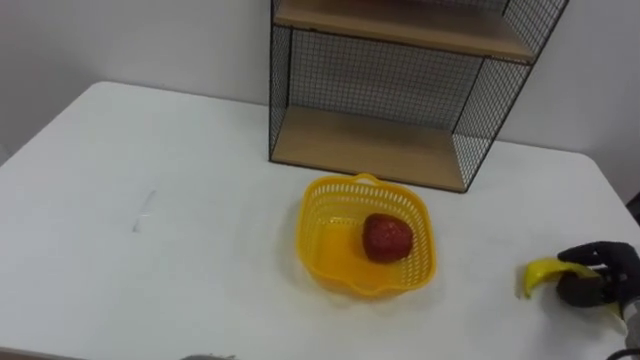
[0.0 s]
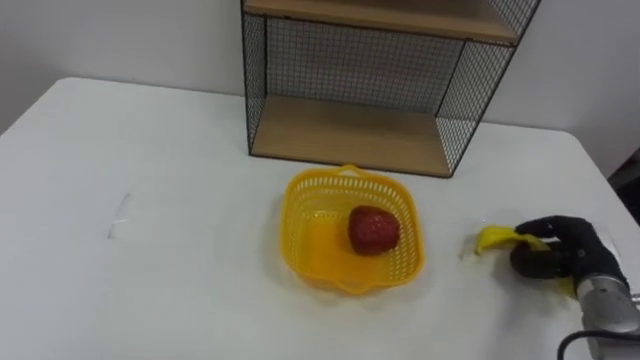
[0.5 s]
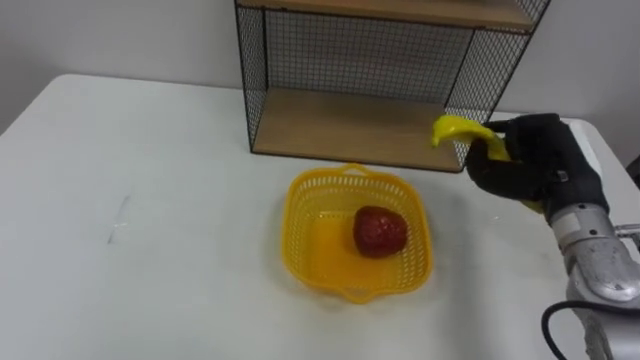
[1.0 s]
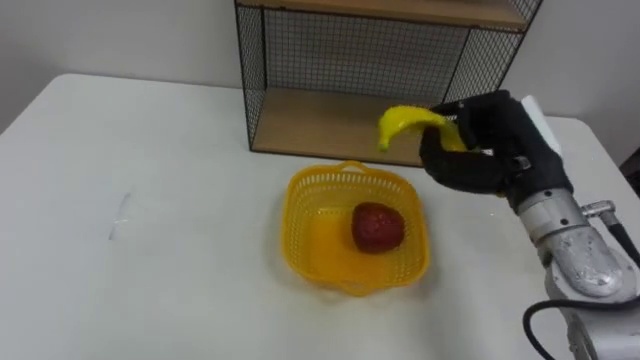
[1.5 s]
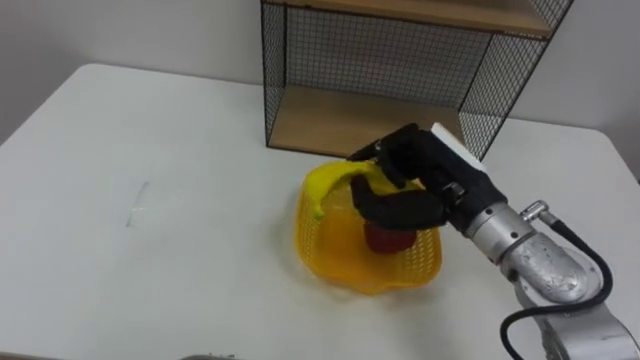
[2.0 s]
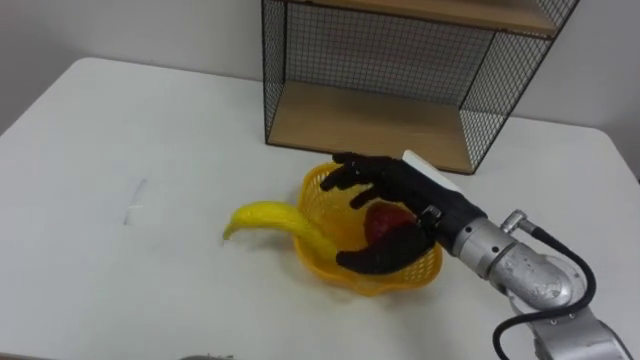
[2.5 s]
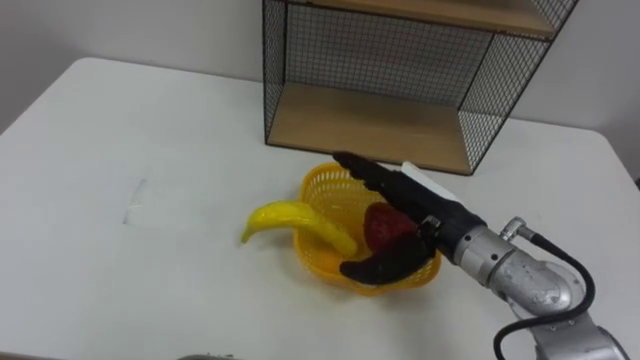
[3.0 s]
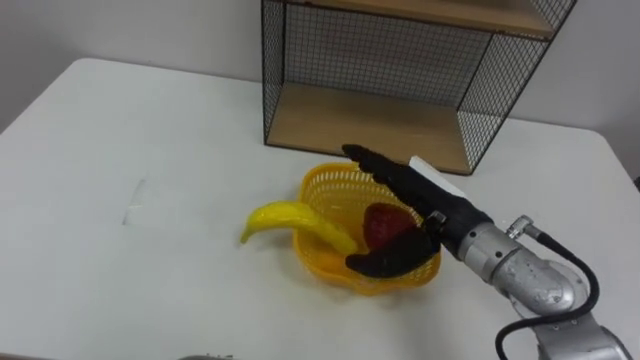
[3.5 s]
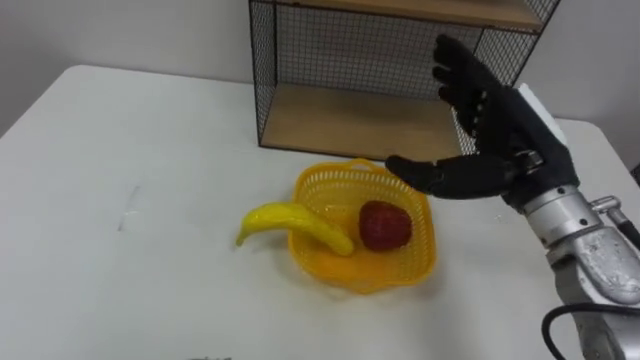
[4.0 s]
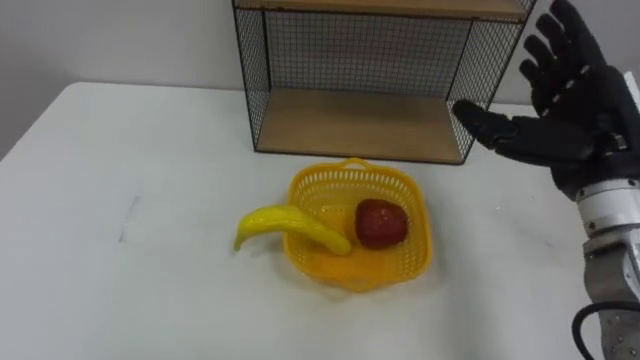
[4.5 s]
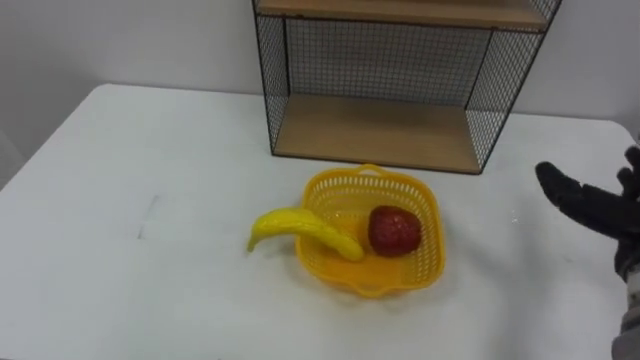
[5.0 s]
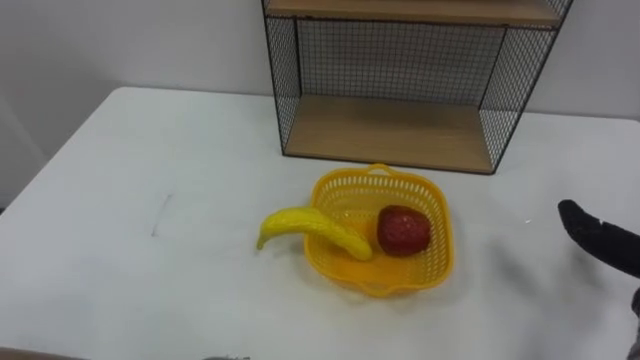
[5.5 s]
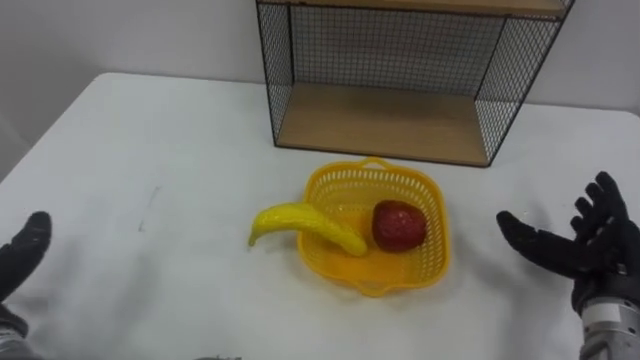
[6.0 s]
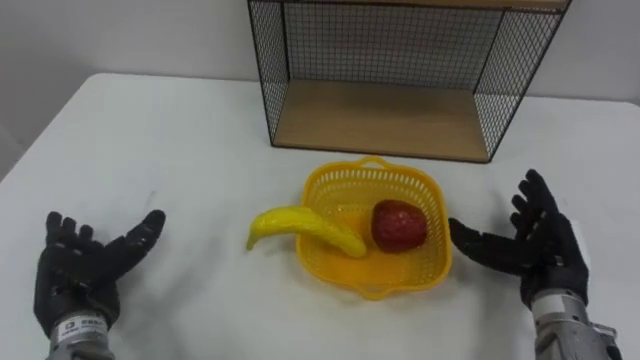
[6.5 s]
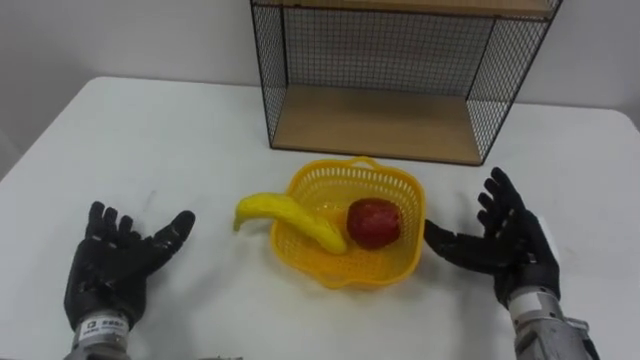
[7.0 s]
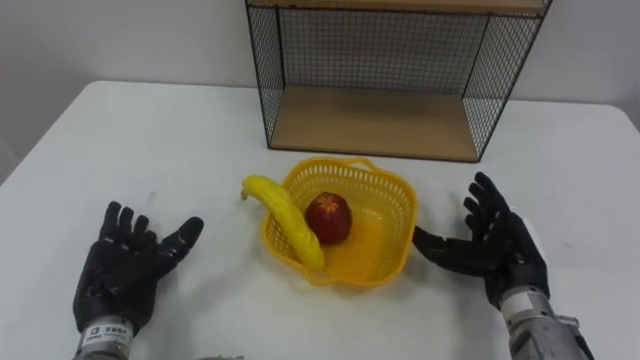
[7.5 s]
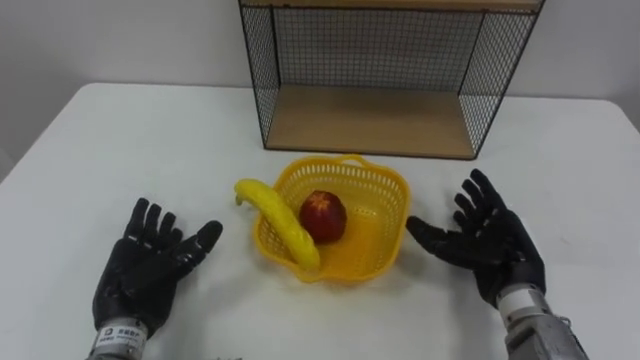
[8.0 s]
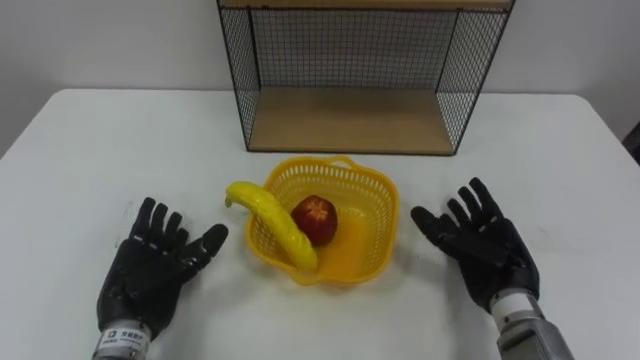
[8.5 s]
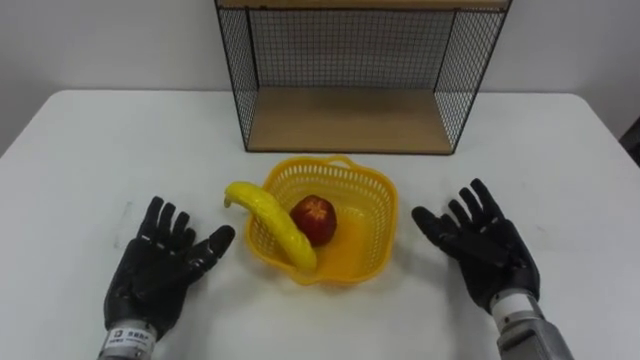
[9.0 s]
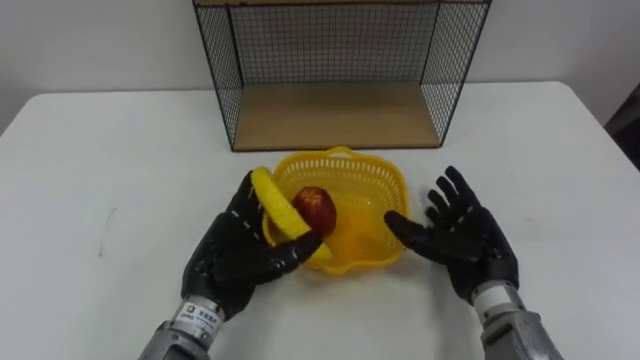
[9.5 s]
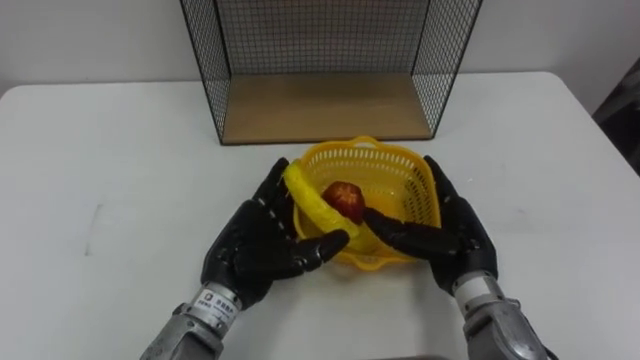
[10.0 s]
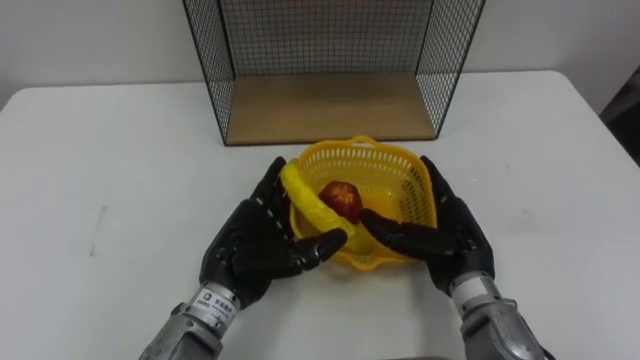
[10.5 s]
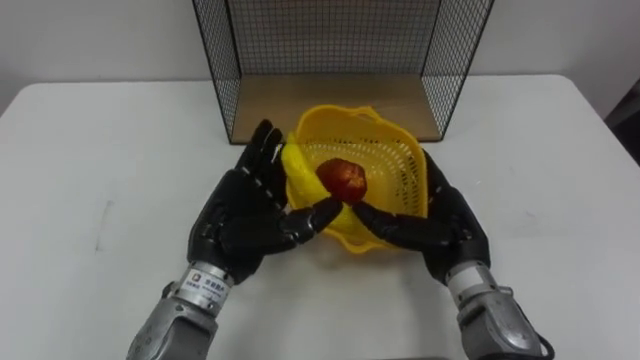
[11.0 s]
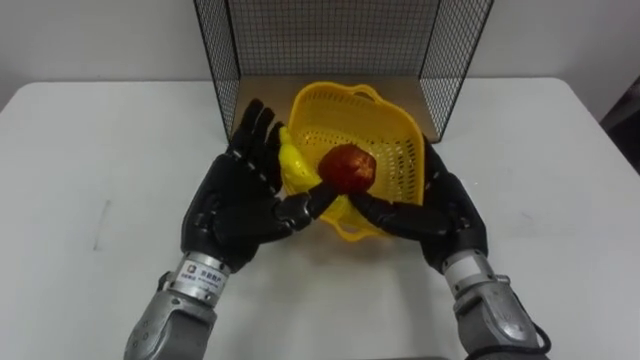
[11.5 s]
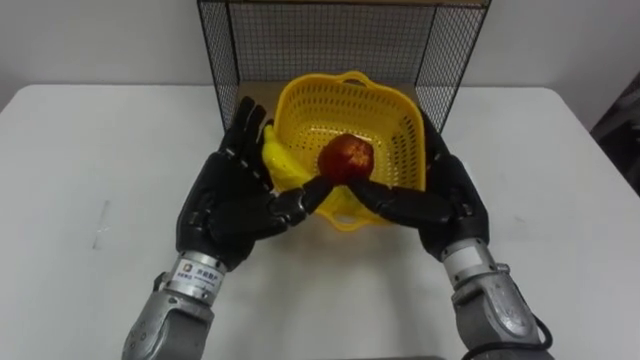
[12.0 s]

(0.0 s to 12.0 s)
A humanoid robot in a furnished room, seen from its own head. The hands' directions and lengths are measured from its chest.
Task of the whole recording: Put the fruit on the table into the basket, then place the basket on the shelf.
0.0 s - 2.0 s: The right hand goes about 30 cm to the left and upward.
2.0 s - 4.0 s: The right hand travels to the right by roughly 5 cm, and opens up.
6.0 s - 8.0 s: The right hand shifts about 10 cm to the left.
8.0 s - 10.0 s: The right hand heads to the left, covering about 5 cm; the left hand travels to the right by roughly 15 cm.
10.0 s - 12.0 s: Both hands travel together upward, about 5 cm.

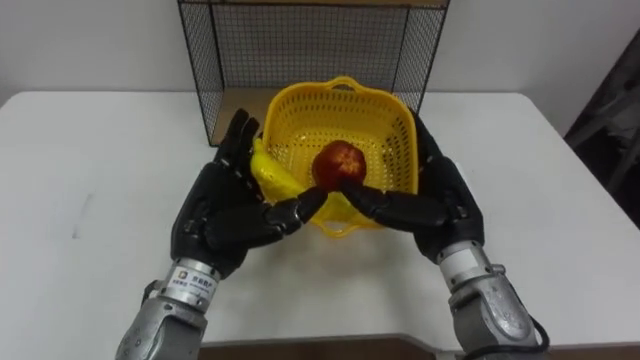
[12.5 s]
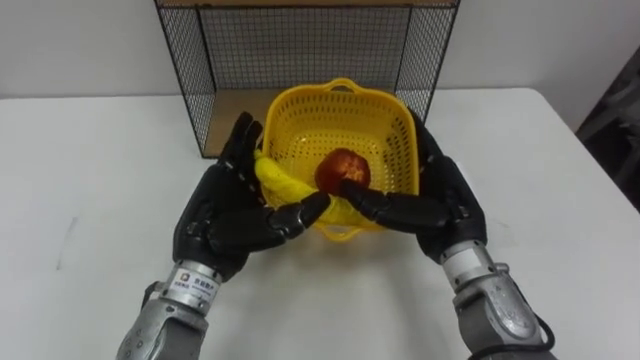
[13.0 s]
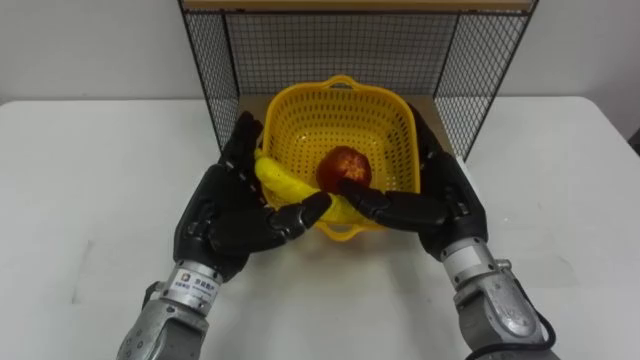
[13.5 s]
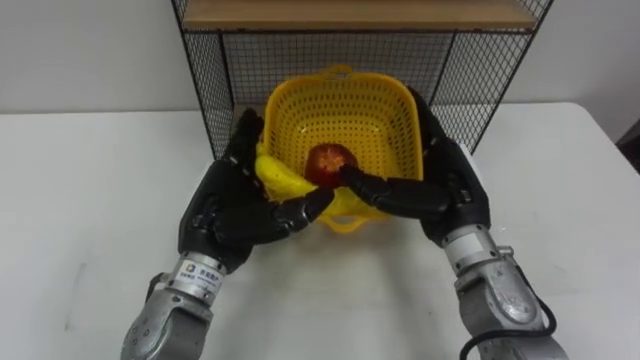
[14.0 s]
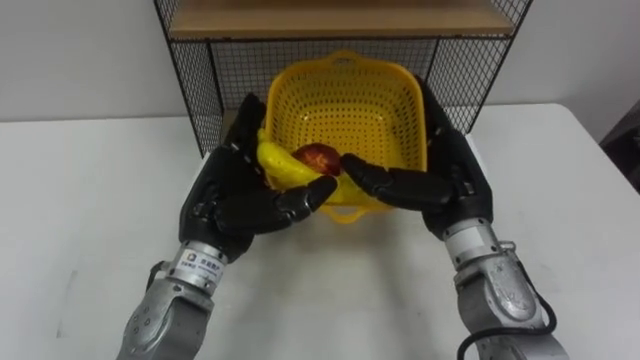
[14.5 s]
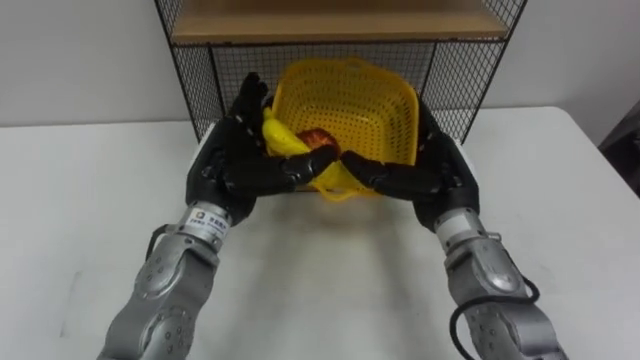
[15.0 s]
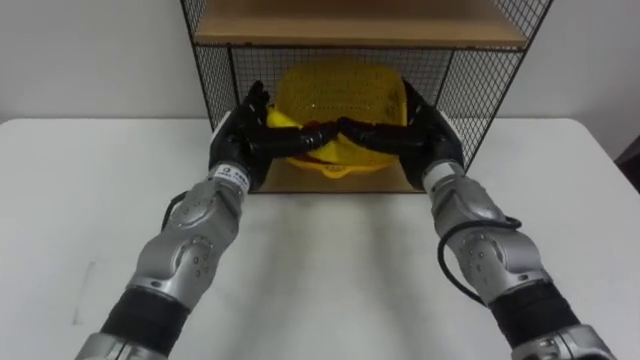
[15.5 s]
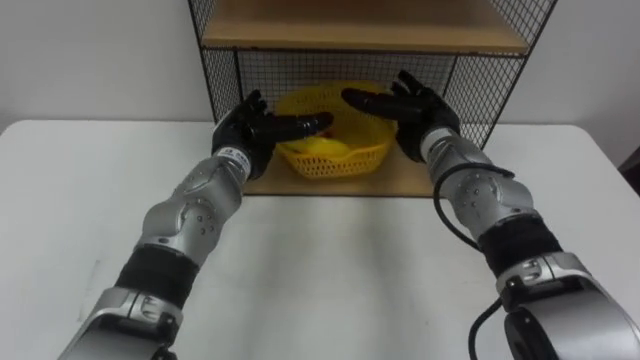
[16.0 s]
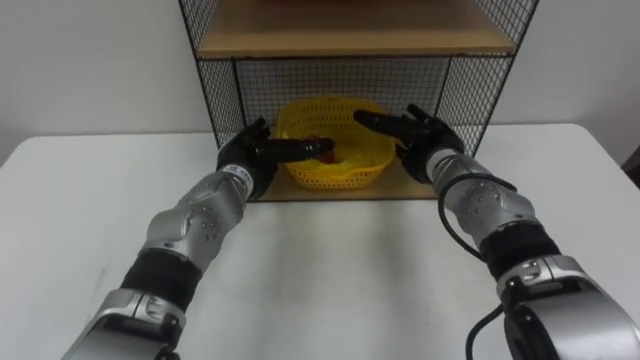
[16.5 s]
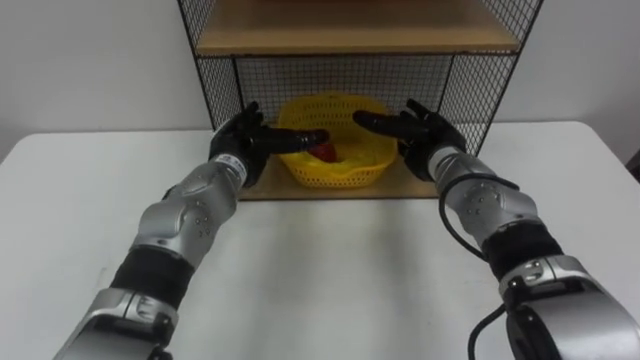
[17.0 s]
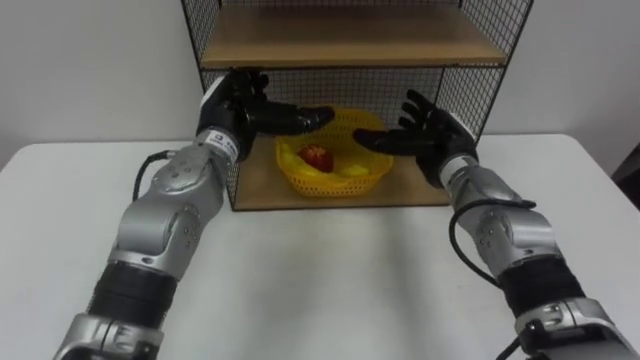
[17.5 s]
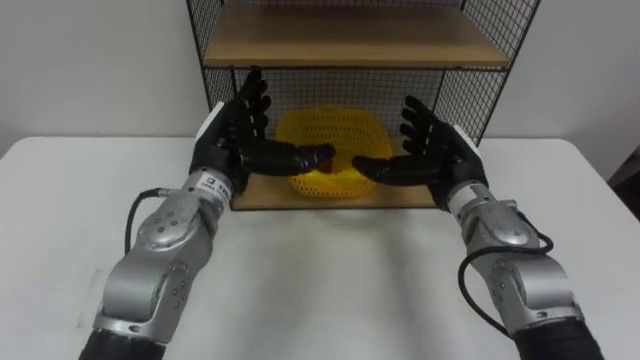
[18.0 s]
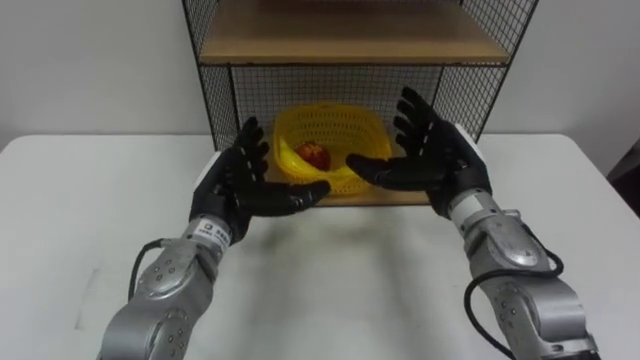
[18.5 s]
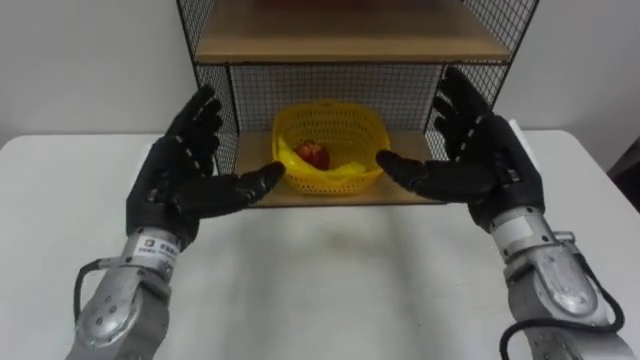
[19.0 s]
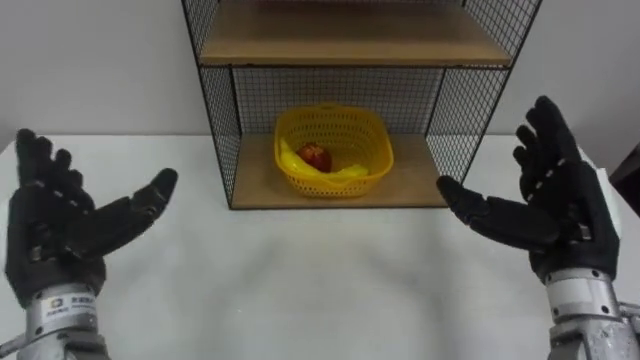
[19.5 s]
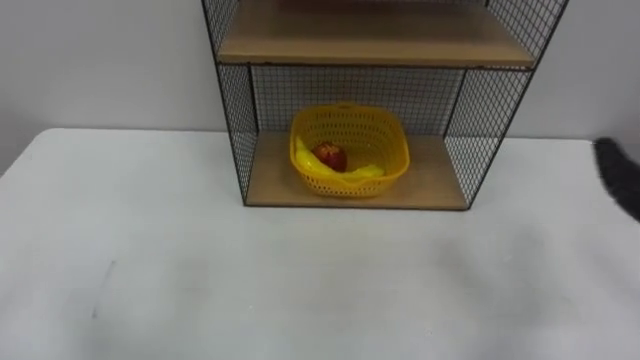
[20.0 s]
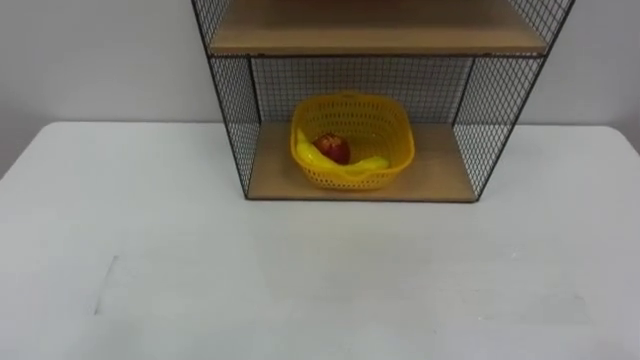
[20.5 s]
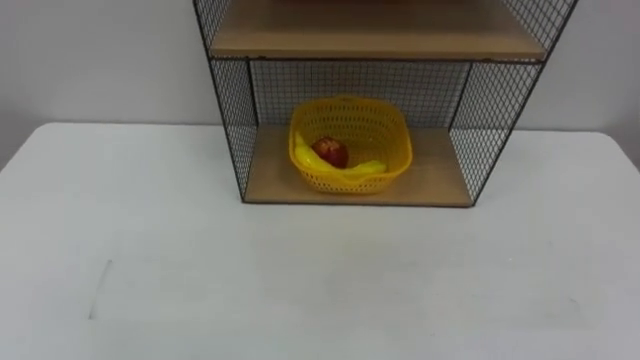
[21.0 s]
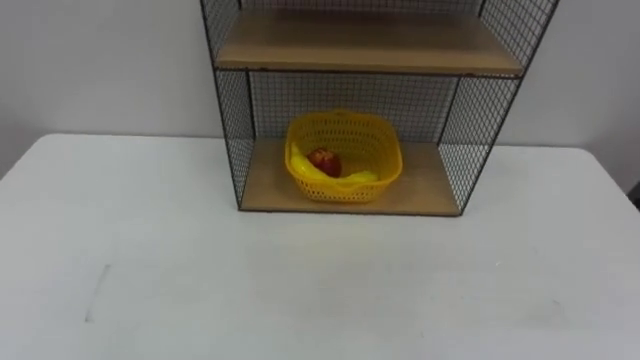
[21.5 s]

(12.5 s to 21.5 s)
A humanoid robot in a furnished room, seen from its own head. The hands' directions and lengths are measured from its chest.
Task of the whole recording: Put the fruit on the table into the basket, then place the basket on the shelf.
14.5 s - 17.0 s: The right hand heads forward and downward, covering approximately 15 cm. The left hand heads forward, covering approximately 10 cm.
17.0 s - 19.5 s: The right hand heads backward, to the right and upward, covering about 20 cm. The left hand shifts about 25 cm backward and to the left.
